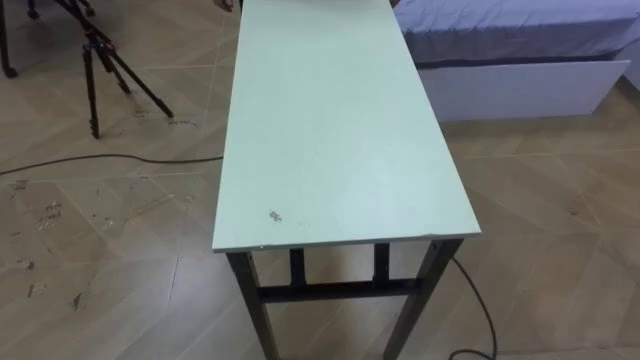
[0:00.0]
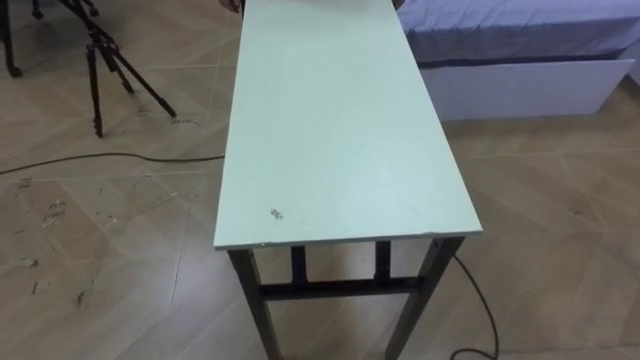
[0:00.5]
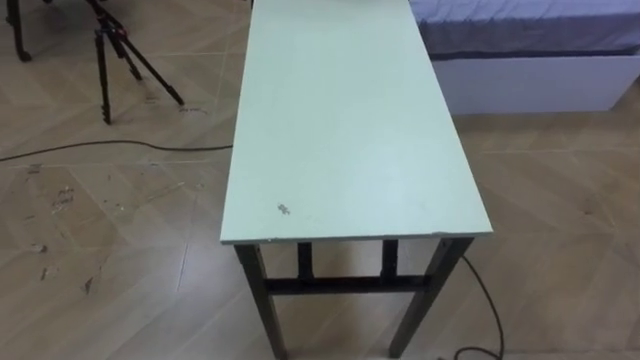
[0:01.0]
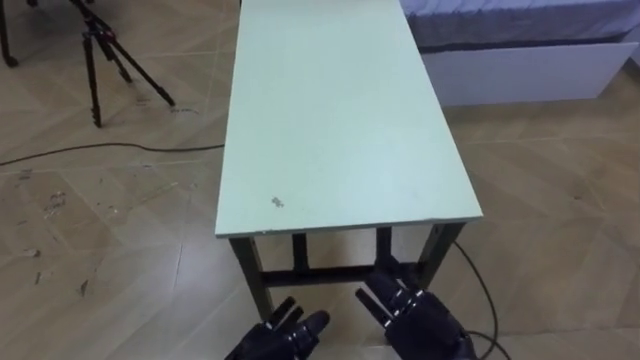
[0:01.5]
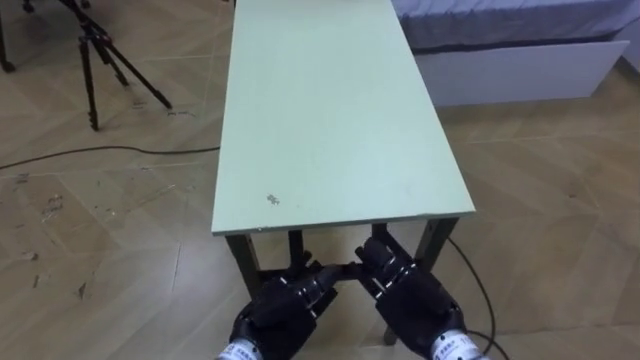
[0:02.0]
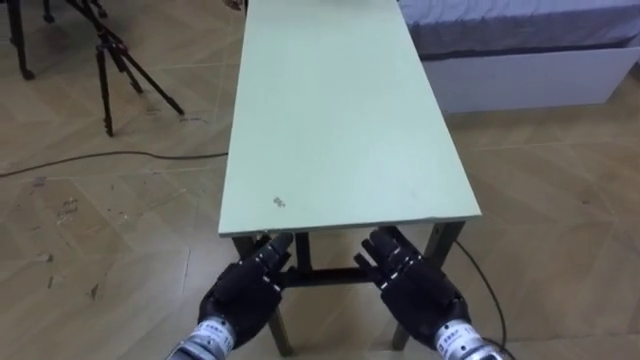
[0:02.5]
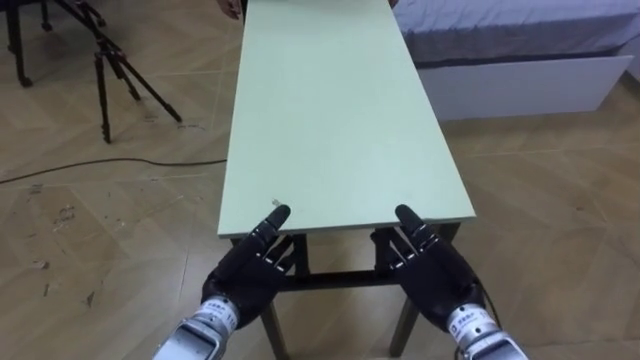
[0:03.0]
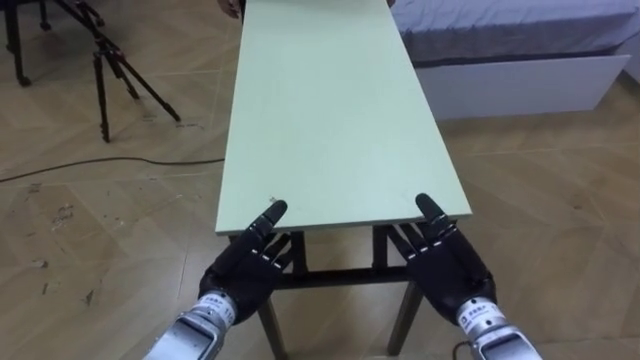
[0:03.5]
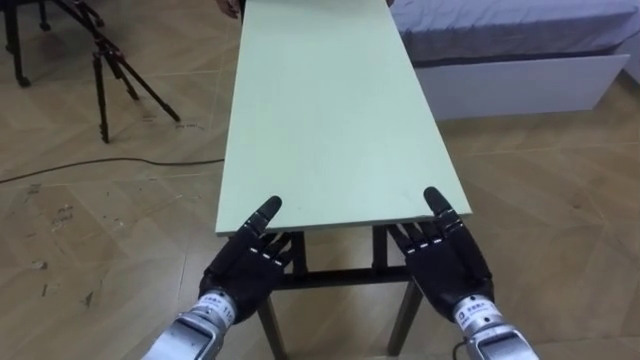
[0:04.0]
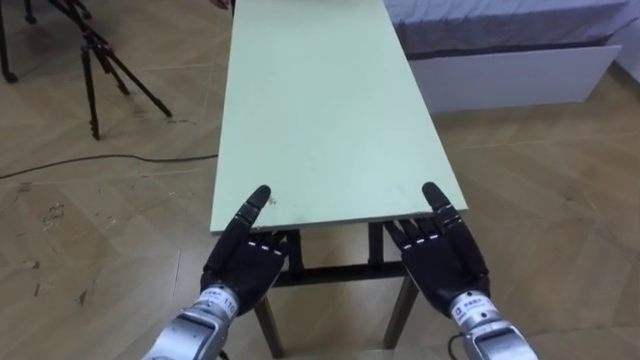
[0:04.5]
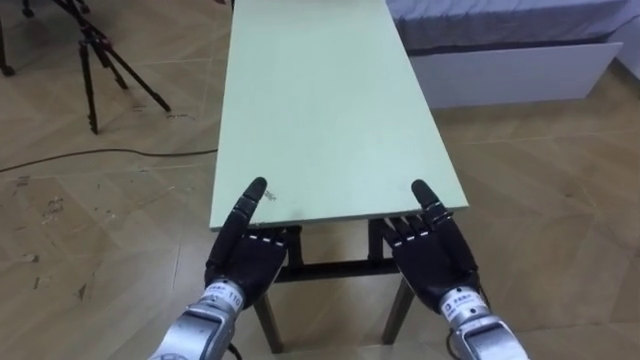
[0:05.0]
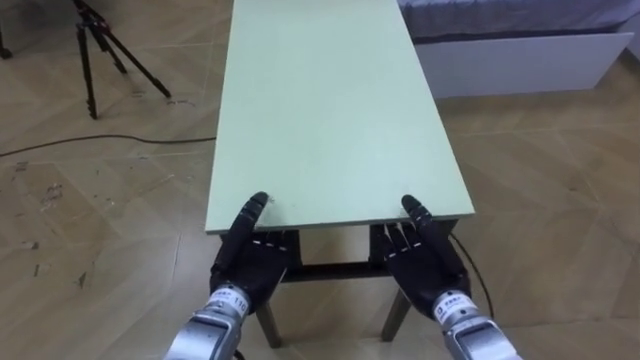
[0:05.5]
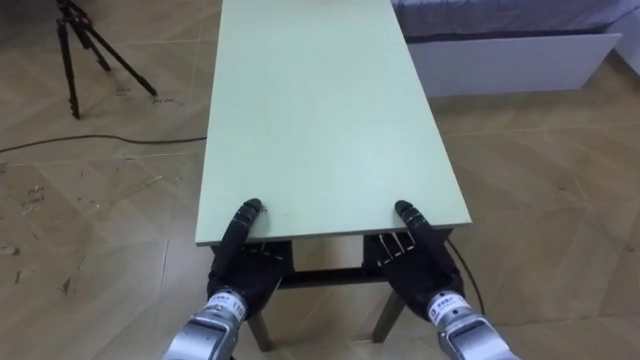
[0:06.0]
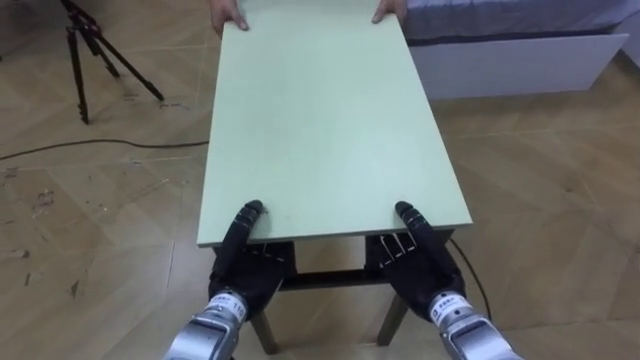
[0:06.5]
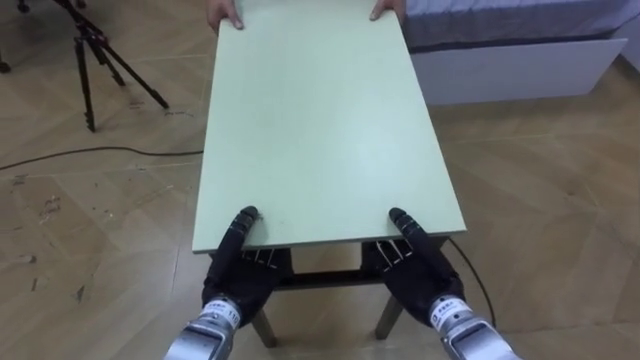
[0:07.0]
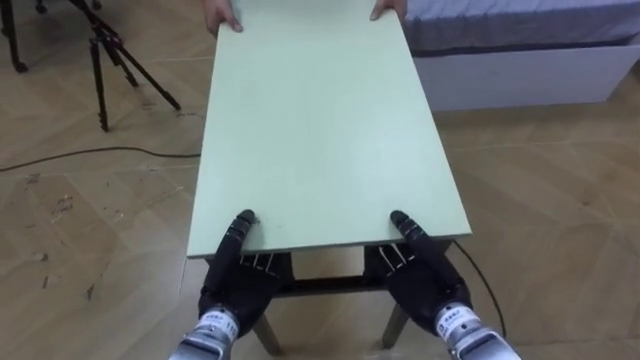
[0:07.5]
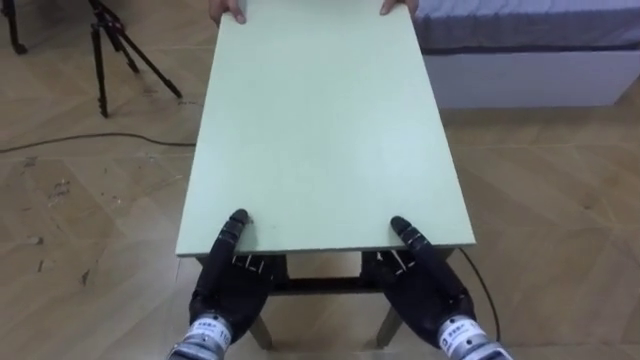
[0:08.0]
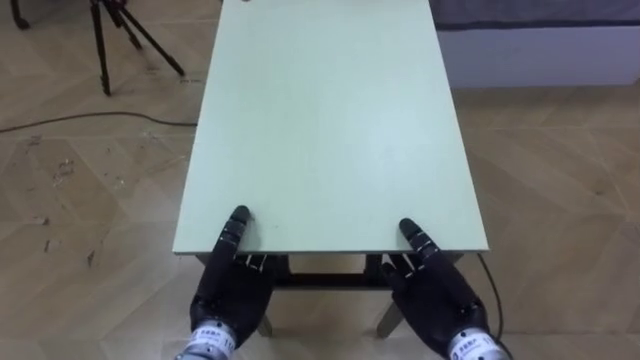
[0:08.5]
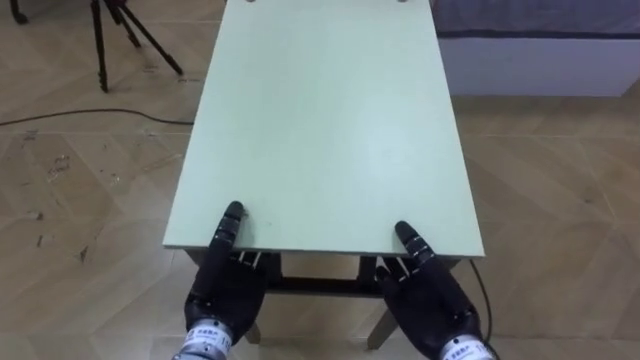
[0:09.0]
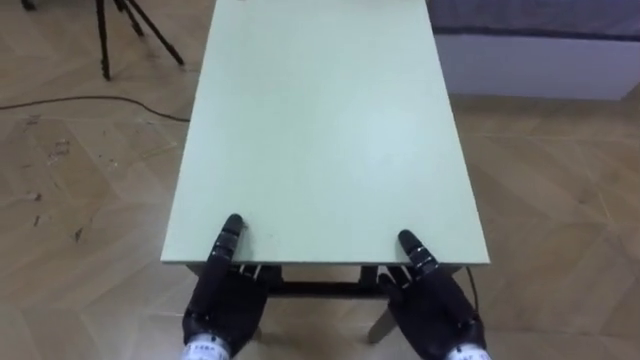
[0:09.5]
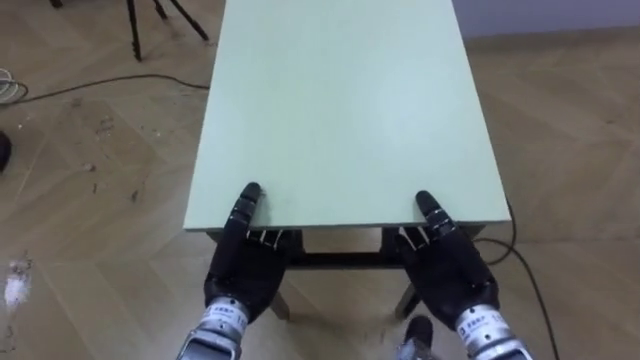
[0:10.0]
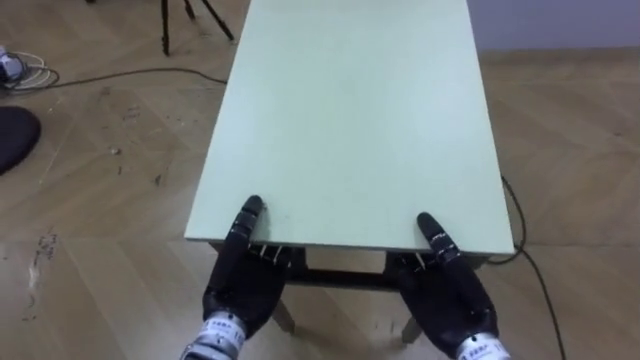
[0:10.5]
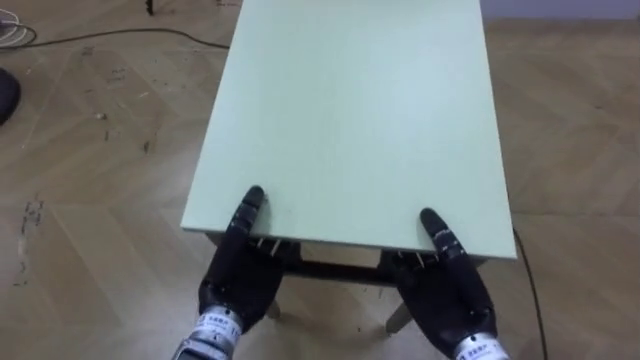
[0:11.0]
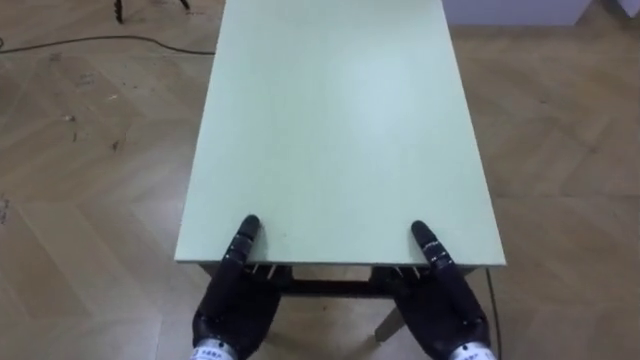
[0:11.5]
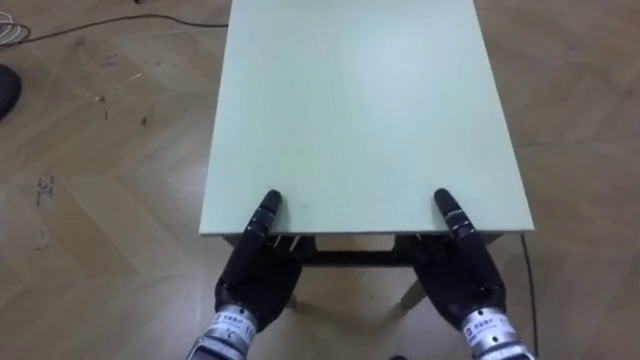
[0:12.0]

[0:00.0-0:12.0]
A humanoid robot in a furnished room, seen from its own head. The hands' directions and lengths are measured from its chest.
Task of the whole recording: Move the table to the back left with someone.
0:02.0 to 0:04.0: The left hand travels forward by approximately 5 cm. Meanwhile the right hand moves roughly 5 cm.
0:04.0 to 0:06.0: The right hand closes up. The left hand closes.

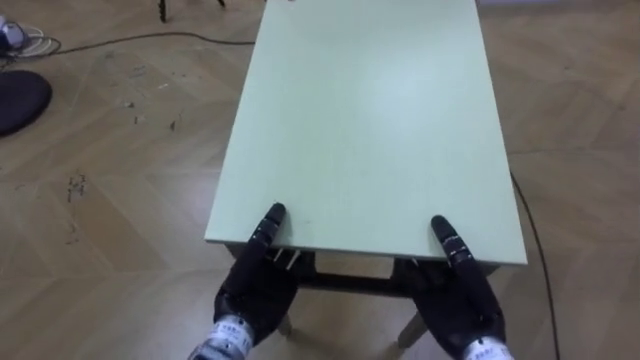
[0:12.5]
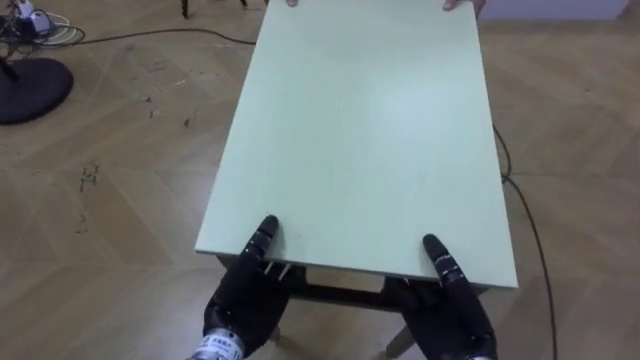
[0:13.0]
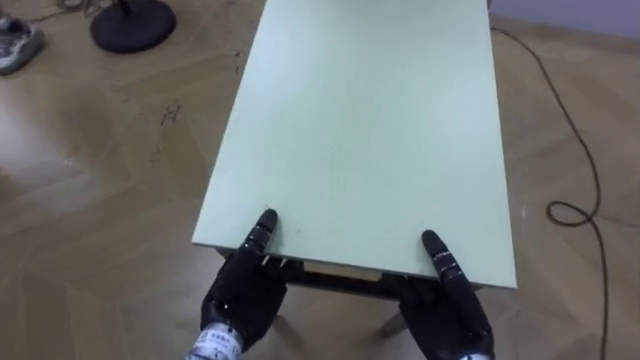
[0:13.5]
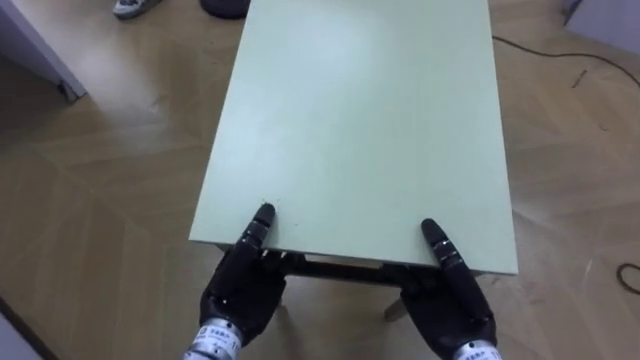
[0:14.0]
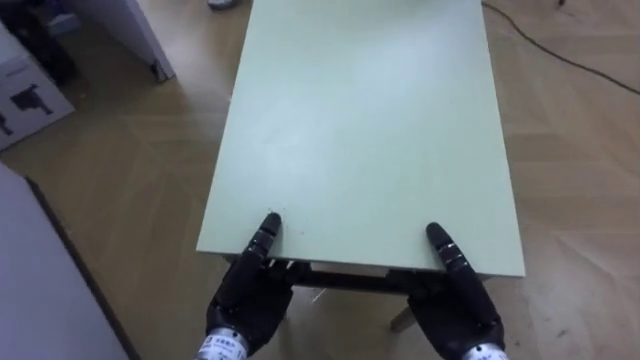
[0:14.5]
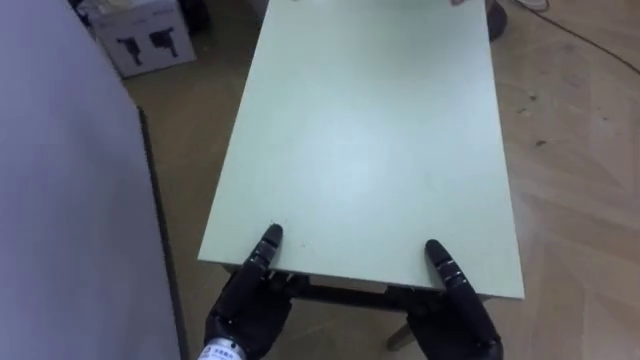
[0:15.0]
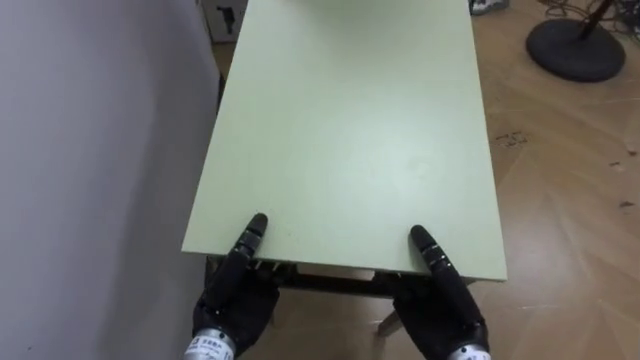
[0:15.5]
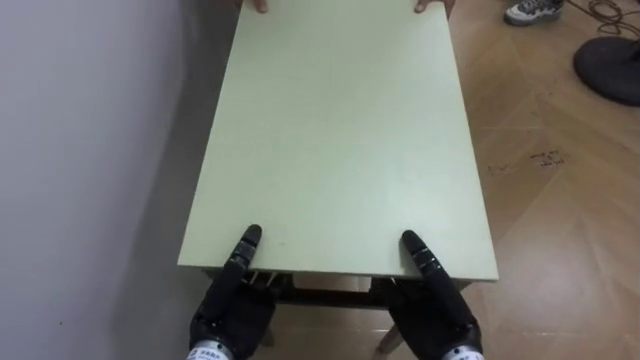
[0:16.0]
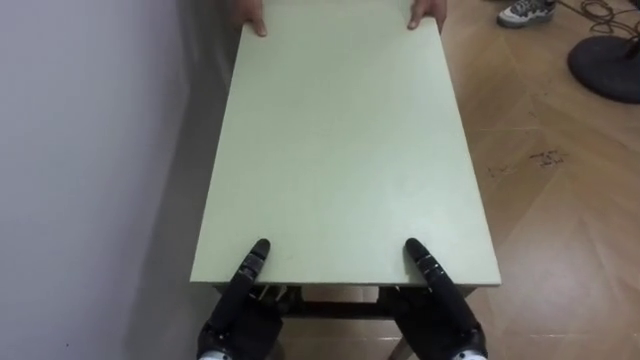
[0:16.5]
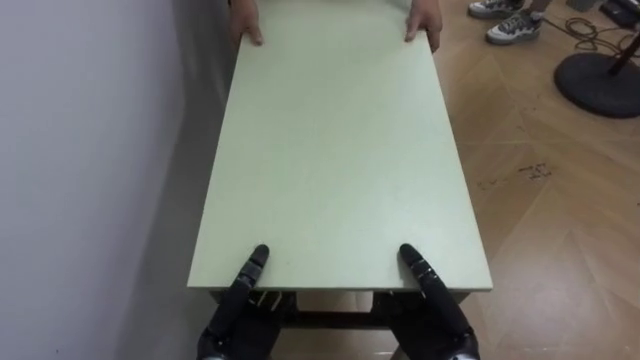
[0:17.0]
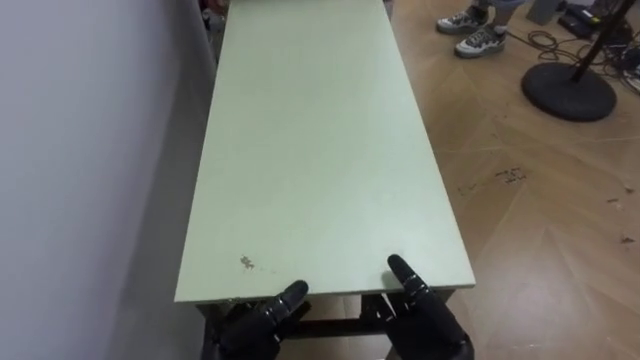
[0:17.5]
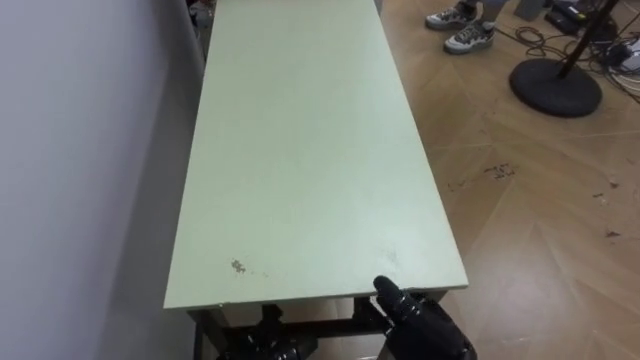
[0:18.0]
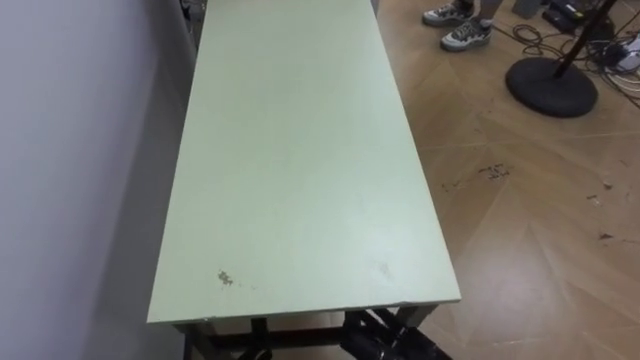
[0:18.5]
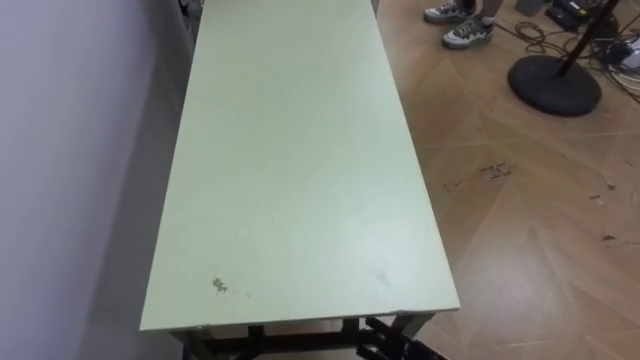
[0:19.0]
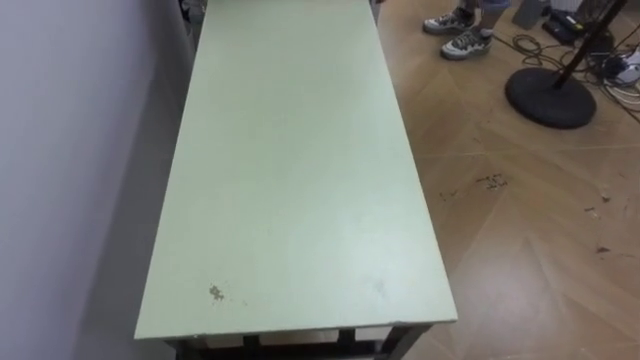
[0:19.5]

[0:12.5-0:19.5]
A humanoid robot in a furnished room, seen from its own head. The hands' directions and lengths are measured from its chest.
Task of the whole recording: Move the table to the back left with someone.
0:12.5 to 0:14.5: The robot faces about 40 degrees further to its left.
0:14.5 to 0:16.0: The robot rotates approximately 40 degrees to its left.
0:16.0 to 0:17.5: The right hand opens up. Meanwhile the left hand travels downward by some 5 cm, and opens up.

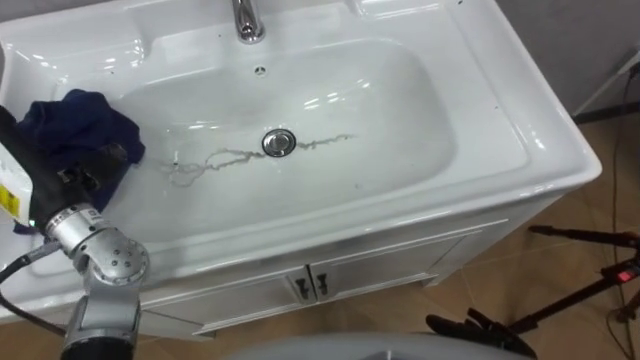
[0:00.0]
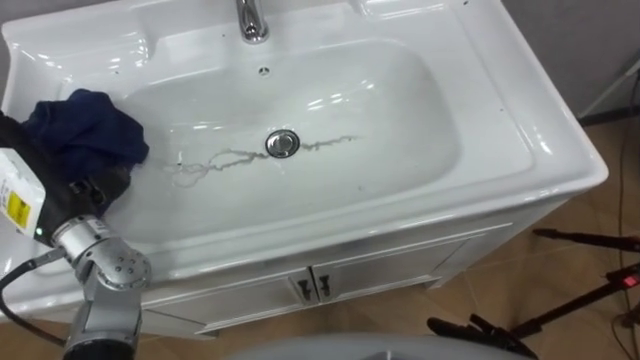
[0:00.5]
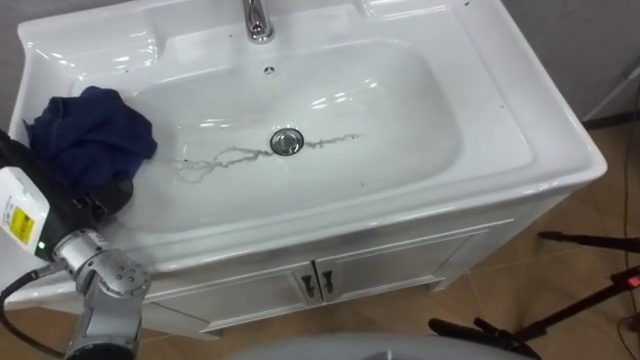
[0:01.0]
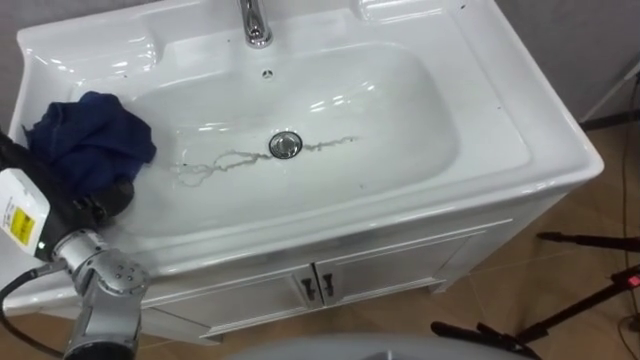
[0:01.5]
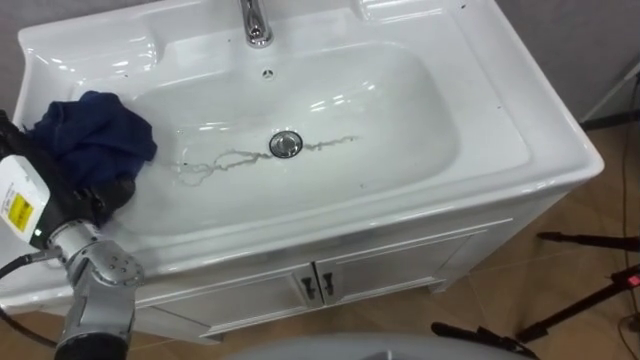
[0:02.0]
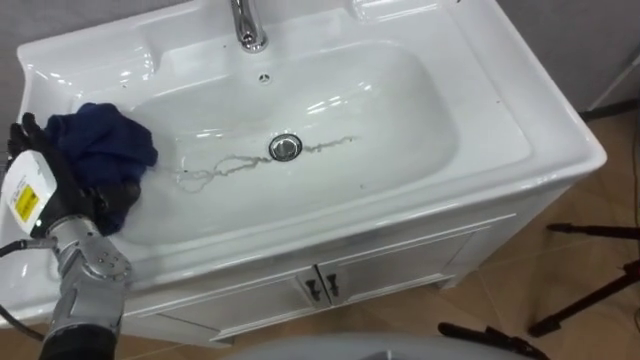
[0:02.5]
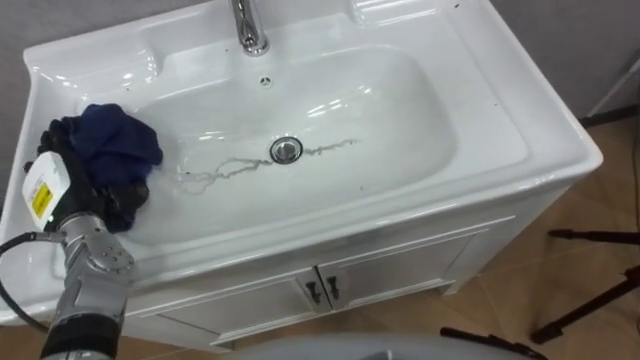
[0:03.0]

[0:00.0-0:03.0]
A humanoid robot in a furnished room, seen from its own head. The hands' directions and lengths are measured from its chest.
Task of the whole recording: Use the cloth on the right to wipe away the black stain in the sink.
0:00.0 to 0:01.5: The left hand shifts some 5 cm downward.
